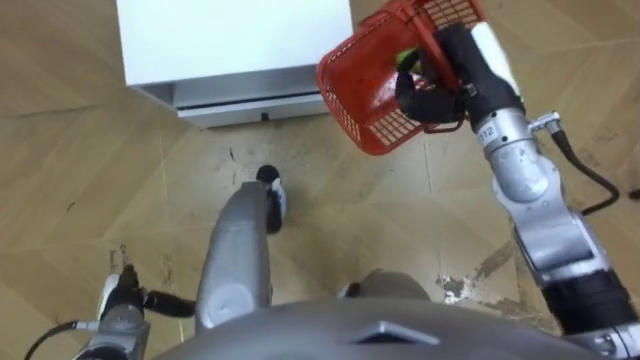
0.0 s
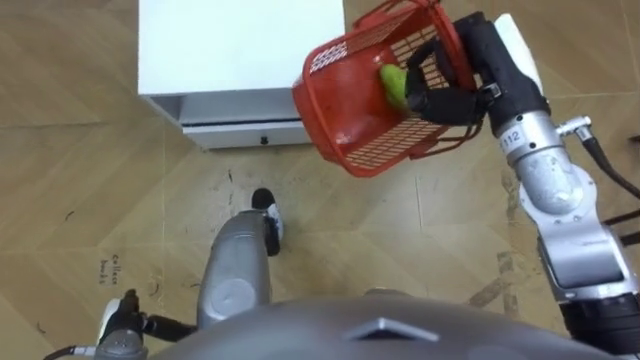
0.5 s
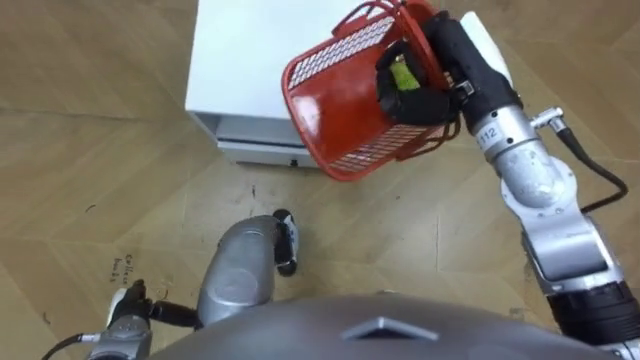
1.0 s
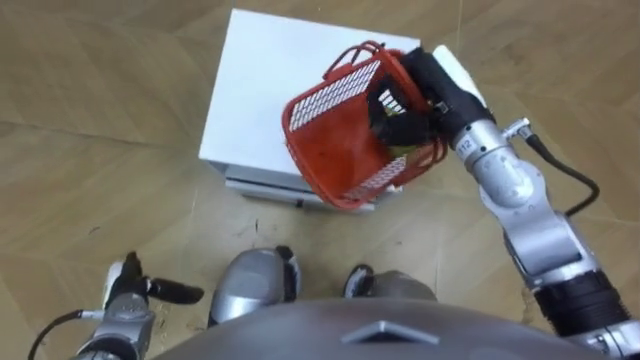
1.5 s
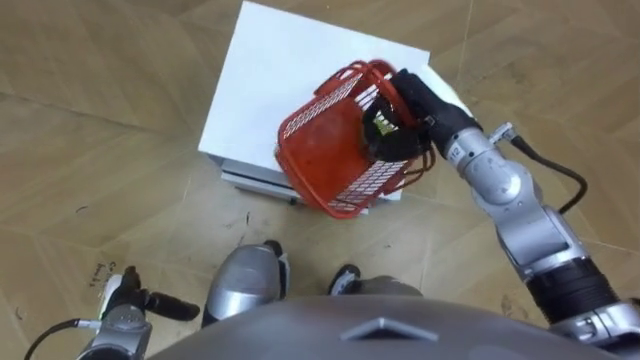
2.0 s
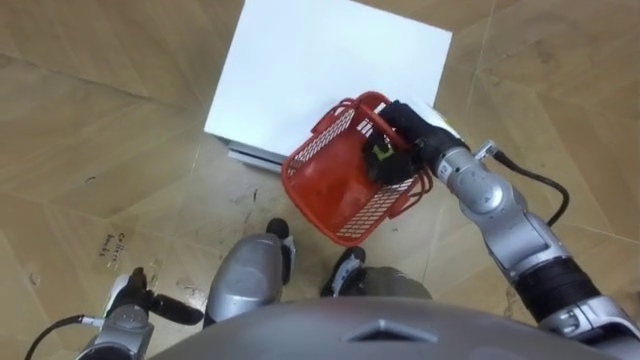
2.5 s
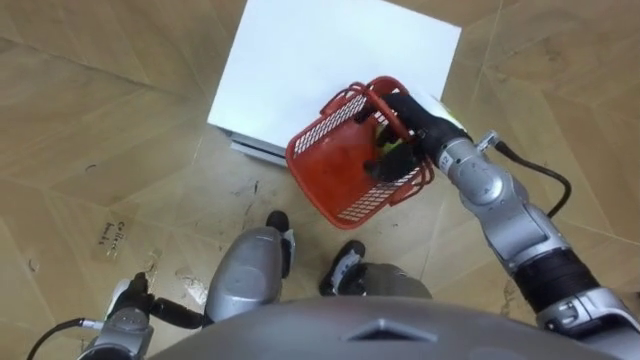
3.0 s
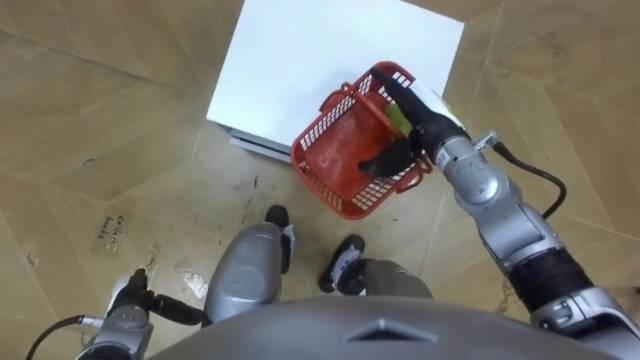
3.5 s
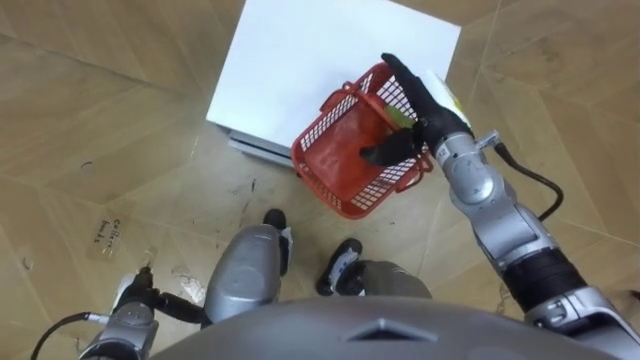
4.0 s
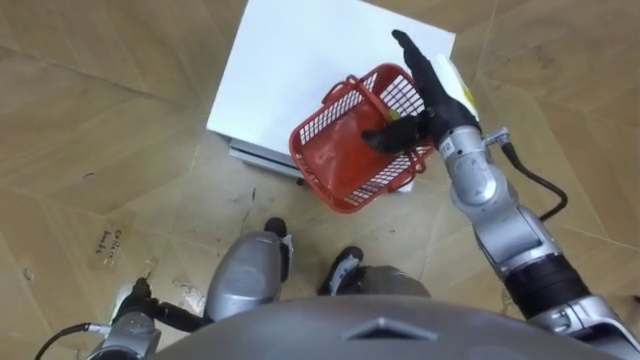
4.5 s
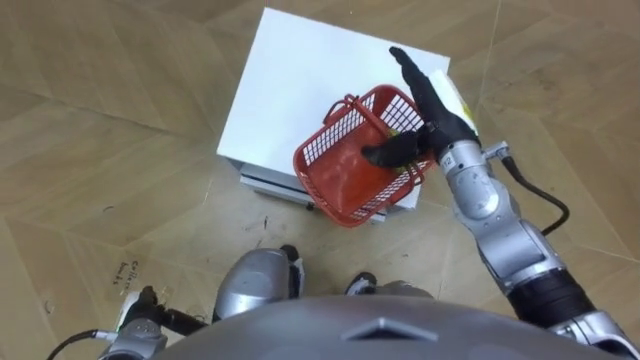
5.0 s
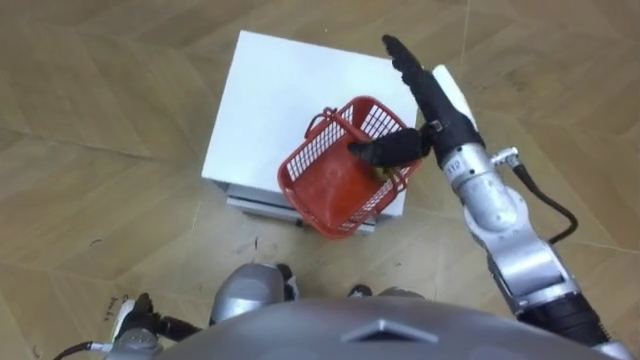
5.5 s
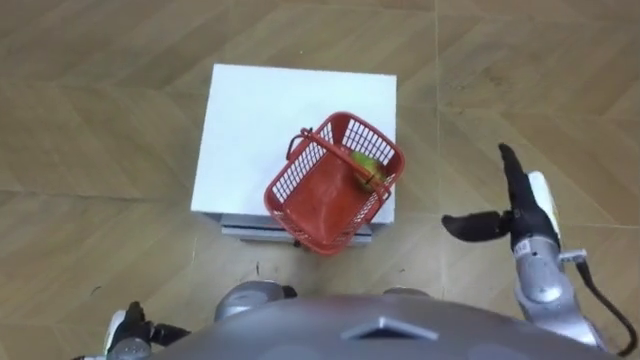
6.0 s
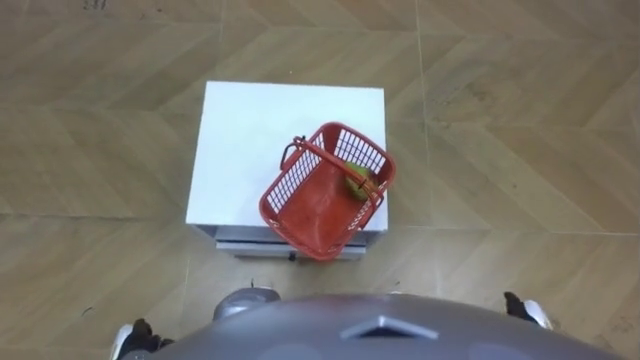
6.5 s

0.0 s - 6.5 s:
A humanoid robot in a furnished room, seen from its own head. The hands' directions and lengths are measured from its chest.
Task of the whole recording: Pick up the fruit basket from the floor and place it on the cabinet.
0.0 s - 2.0 s: The right hand moves about 5 cm.
2.0 s - 4.5 s: The right hand opens its fingers.
4.5 s - 6.5 s: The left hand is displaced backward by about 5 cm; the right hand shifts approximately 35 cm backward, downward and to the right.

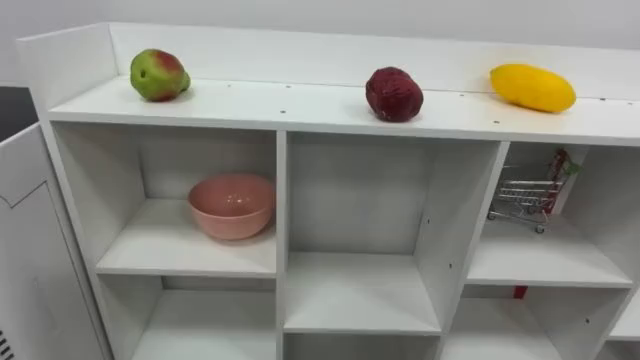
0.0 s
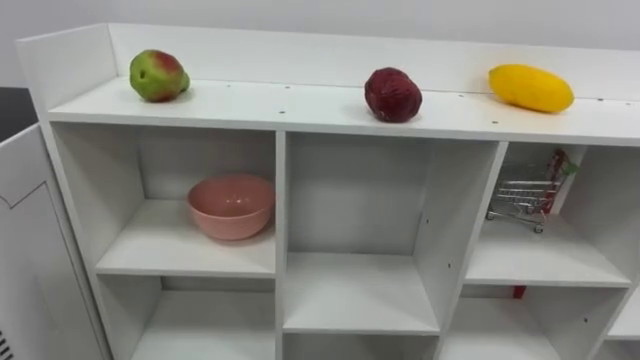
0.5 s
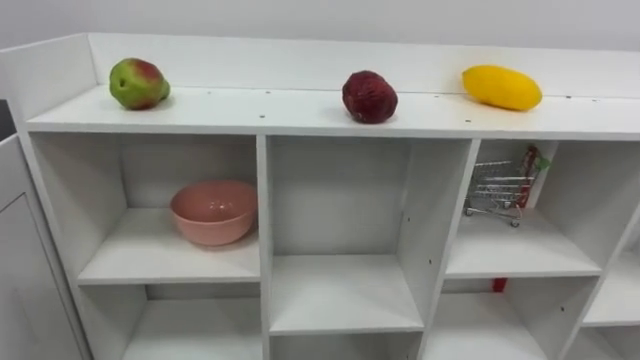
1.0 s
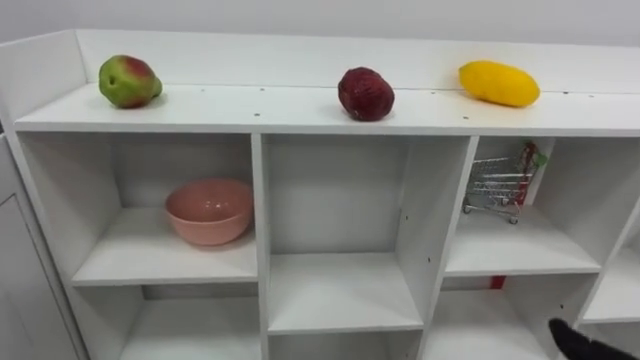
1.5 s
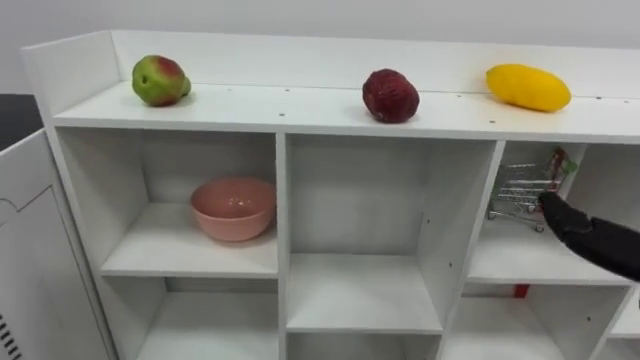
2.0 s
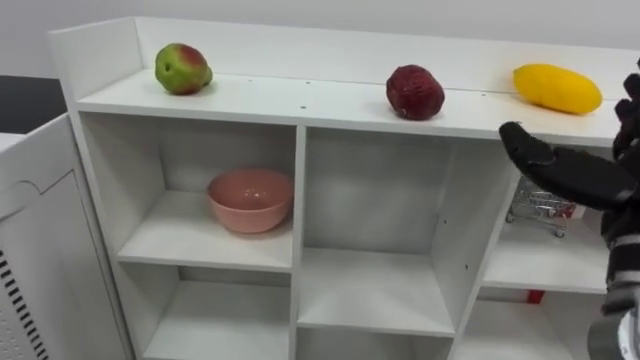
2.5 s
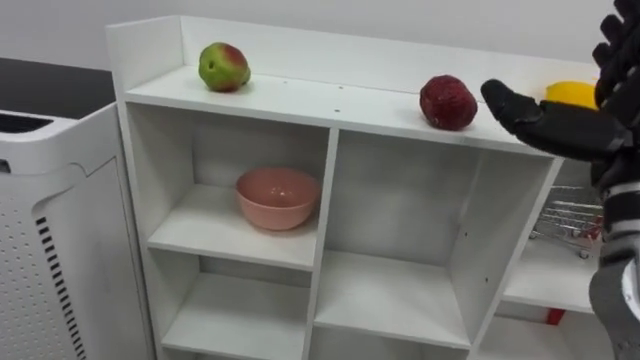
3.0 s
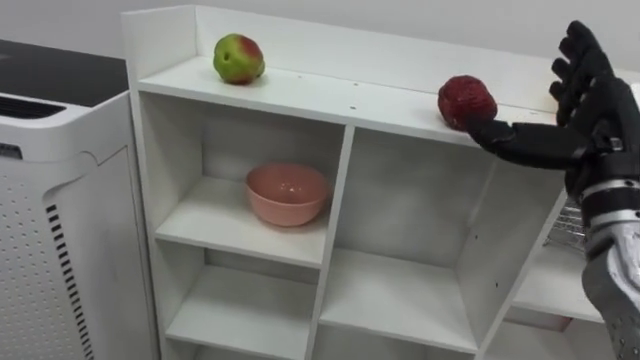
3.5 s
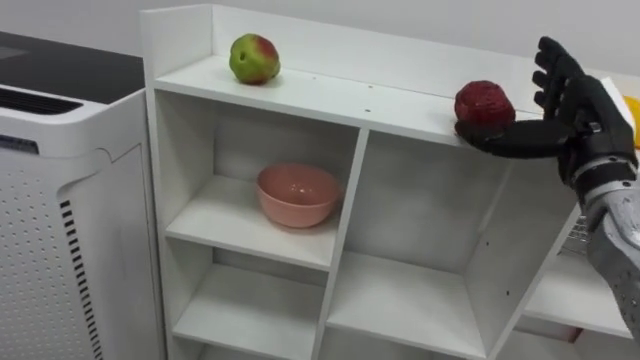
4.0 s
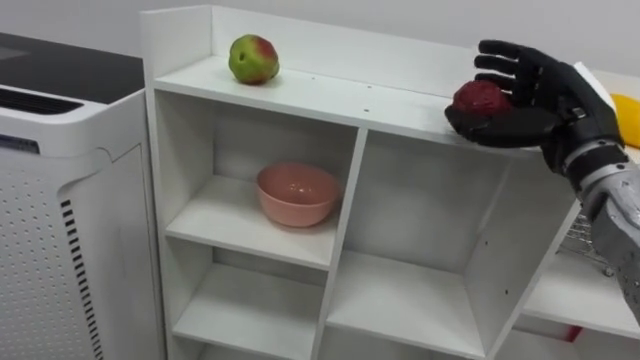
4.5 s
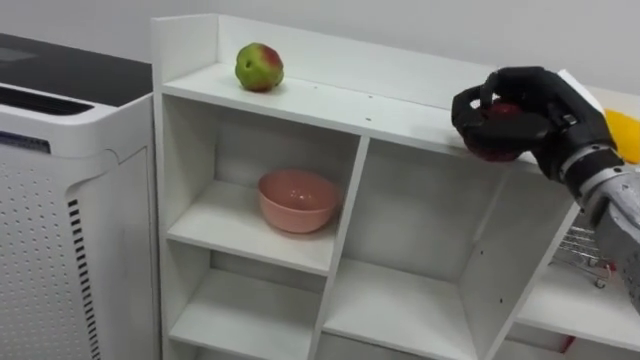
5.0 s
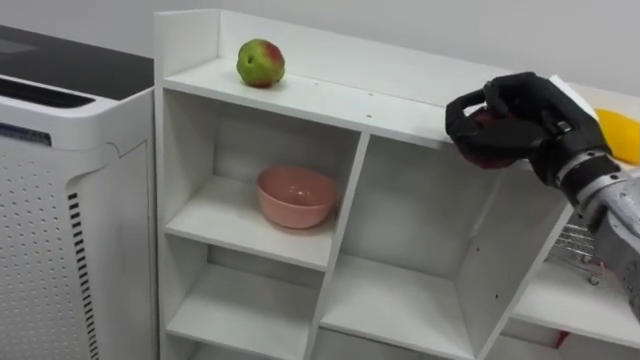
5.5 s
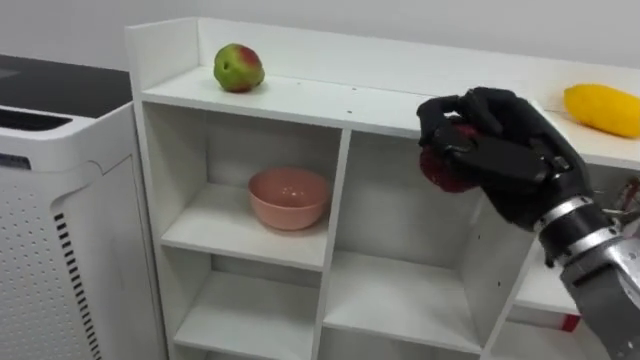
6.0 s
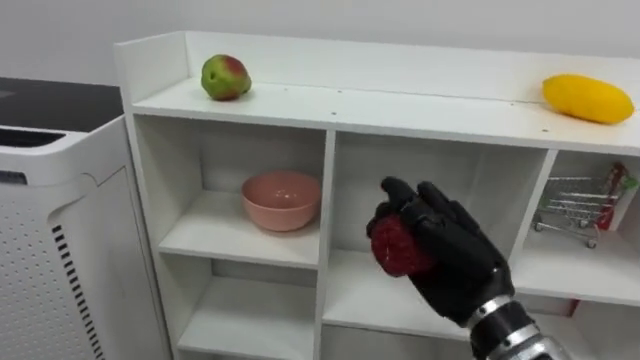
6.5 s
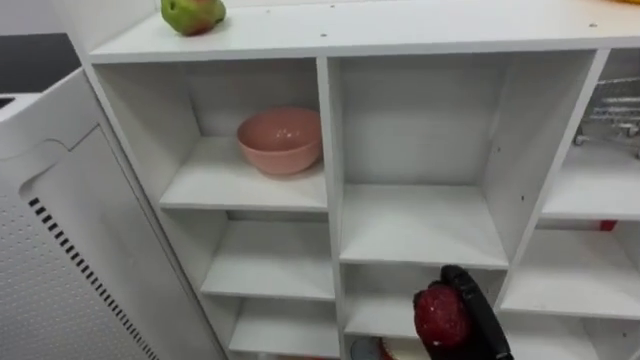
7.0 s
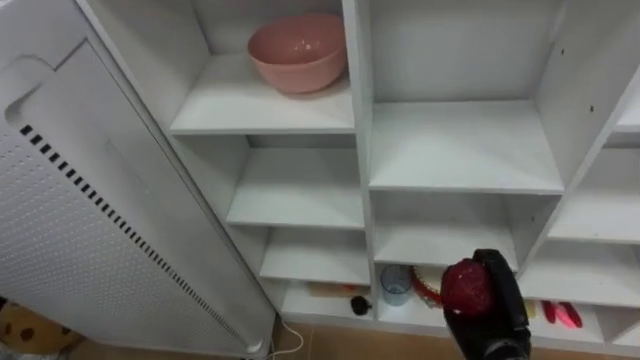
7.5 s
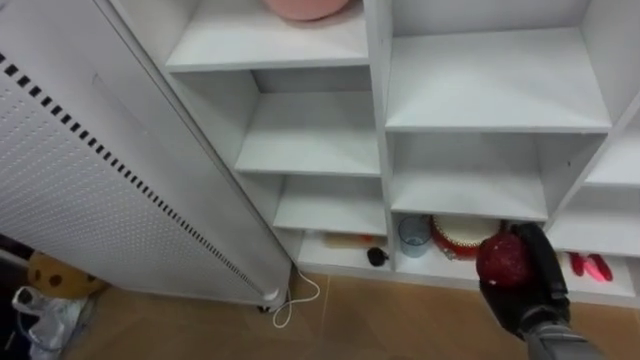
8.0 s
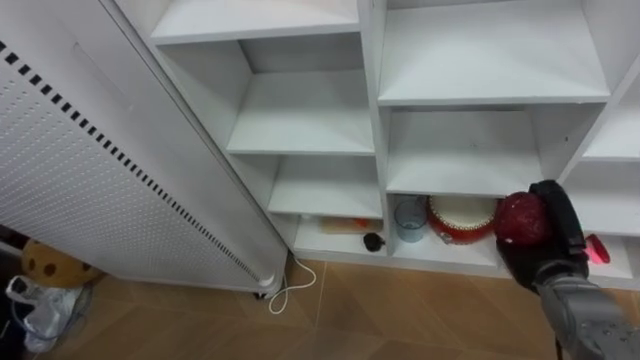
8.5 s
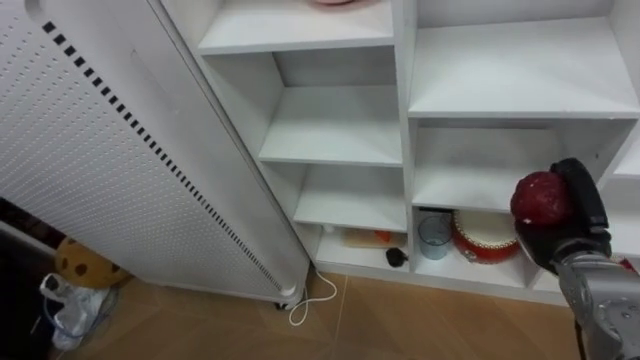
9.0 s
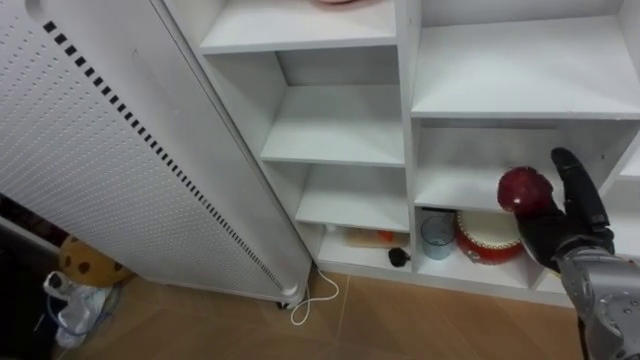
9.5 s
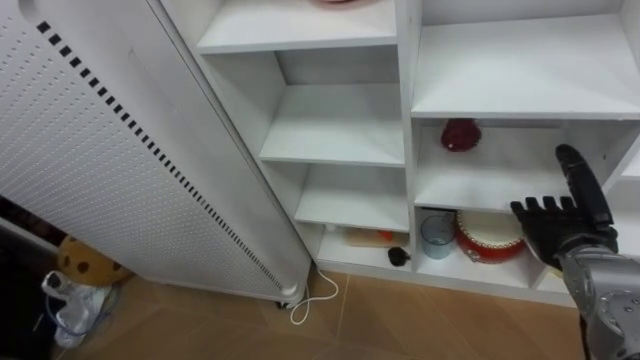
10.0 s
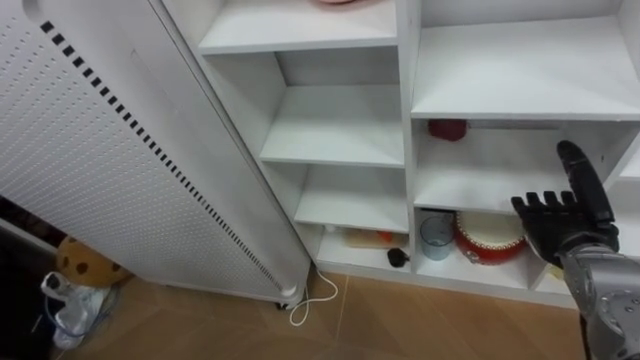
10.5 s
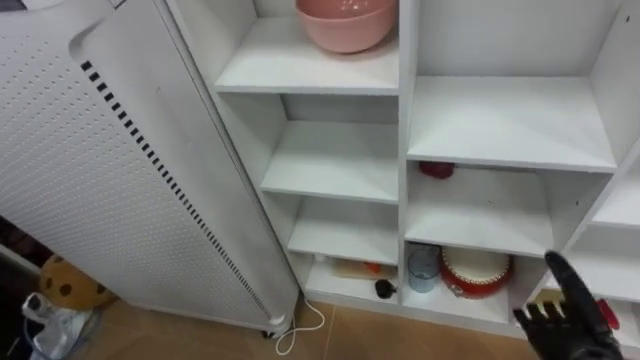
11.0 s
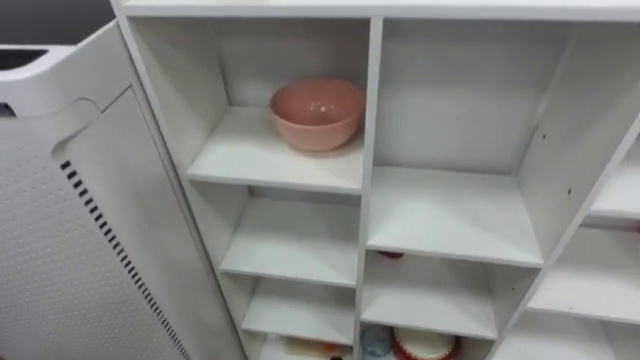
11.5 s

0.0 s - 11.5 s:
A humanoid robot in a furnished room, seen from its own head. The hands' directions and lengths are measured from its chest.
Task of the whole recording: Put the apple in the cell in the second column from the left and the second row from the top.
4.0 s - 6.0 s: The right hand goes roughly 10 cm to the left and backward, and closes.
6.0 s - 7.5 s: The right hand is displaced downward by approximately 25 cm.
7.5 s - 9.5 s: The right hand shifts about 15 cm upward and to the right, and opens.

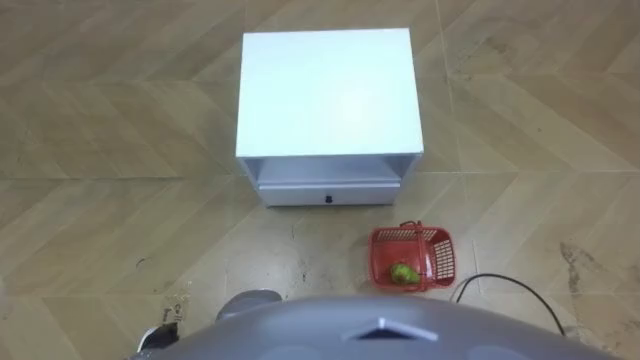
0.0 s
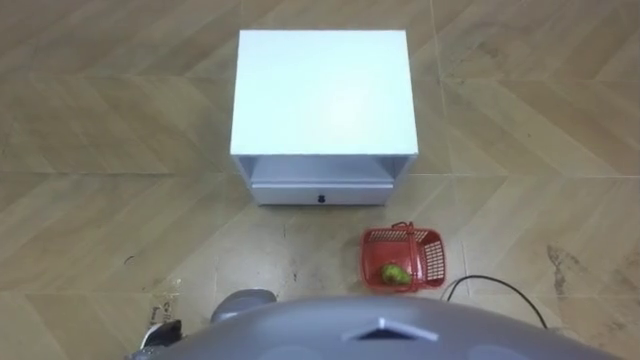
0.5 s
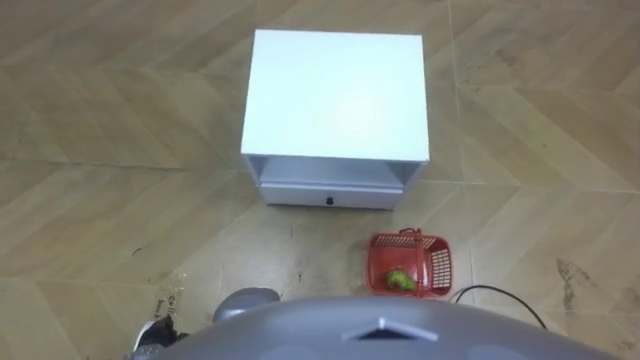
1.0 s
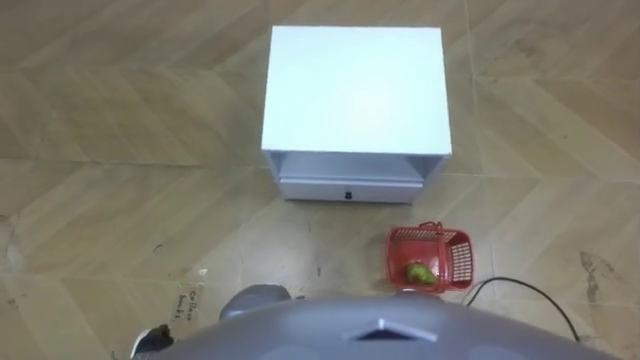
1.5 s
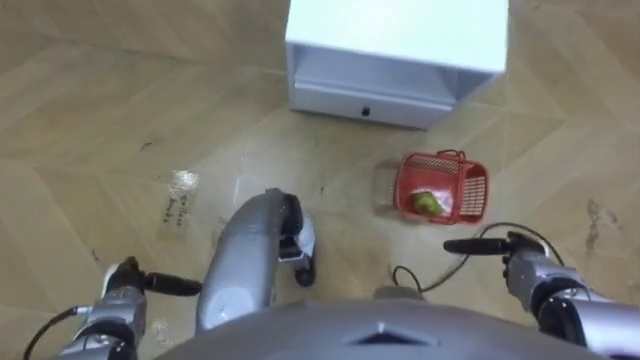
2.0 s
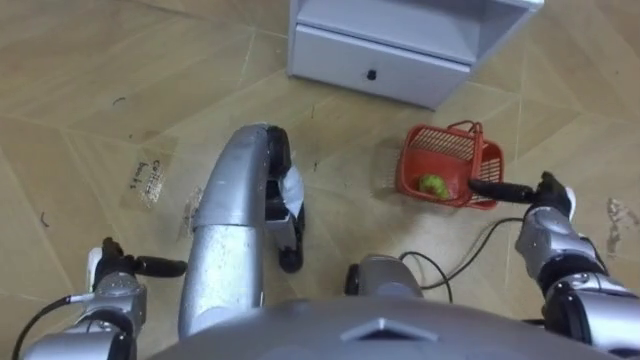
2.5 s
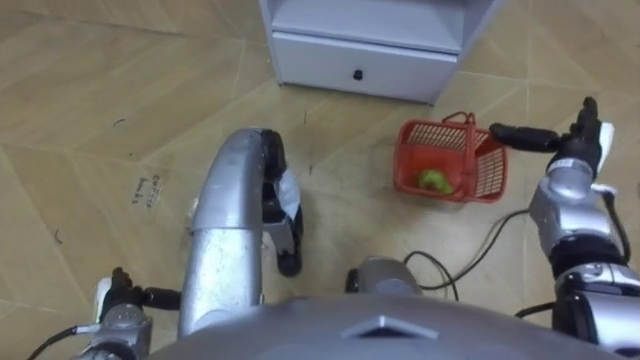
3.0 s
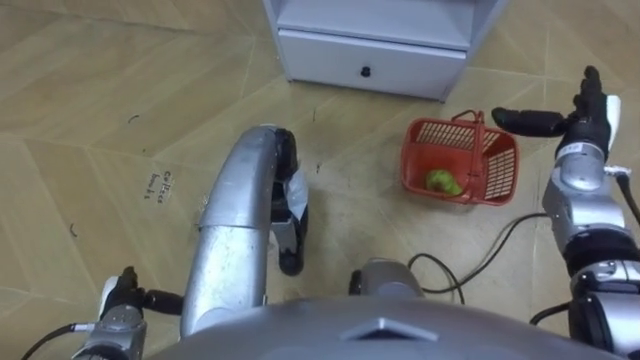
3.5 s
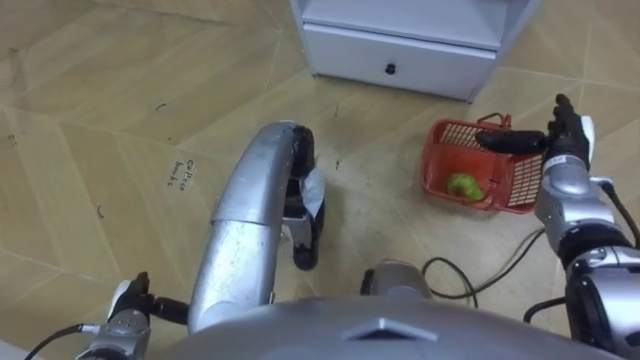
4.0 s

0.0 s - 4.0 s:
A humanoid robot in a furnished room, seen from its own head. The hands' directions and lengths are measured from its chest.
Task of the whole recording: Pick up the fruit basket from the floor and place it on the cabinet.
2.0 s - 4.0 s: The right hand moves forward and upward, some 20 cm.
